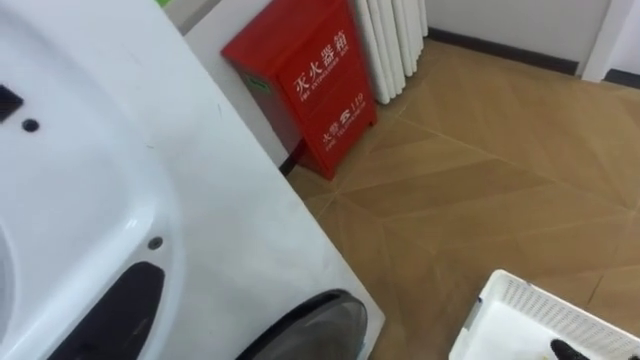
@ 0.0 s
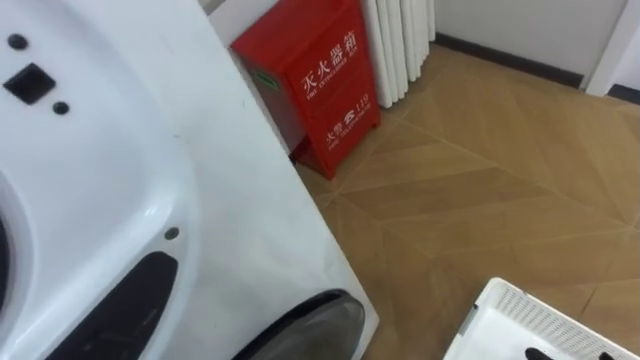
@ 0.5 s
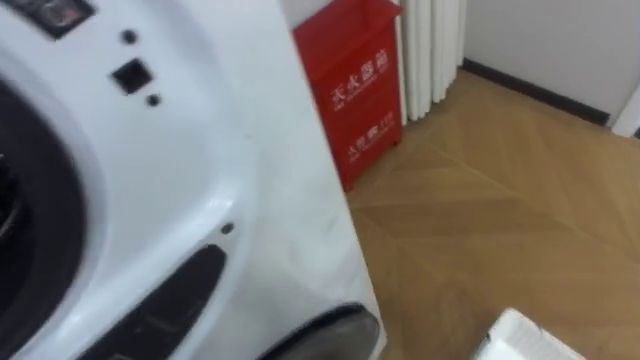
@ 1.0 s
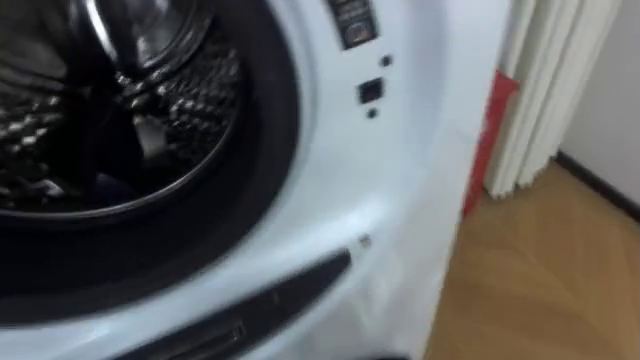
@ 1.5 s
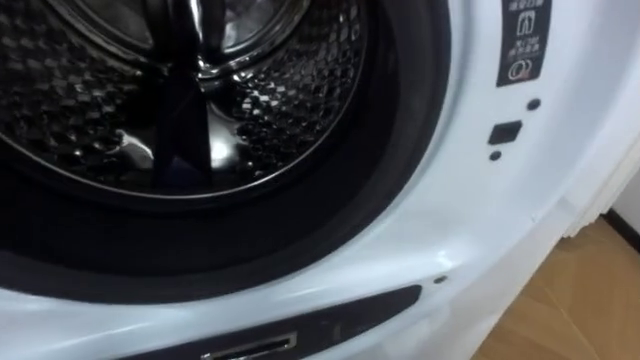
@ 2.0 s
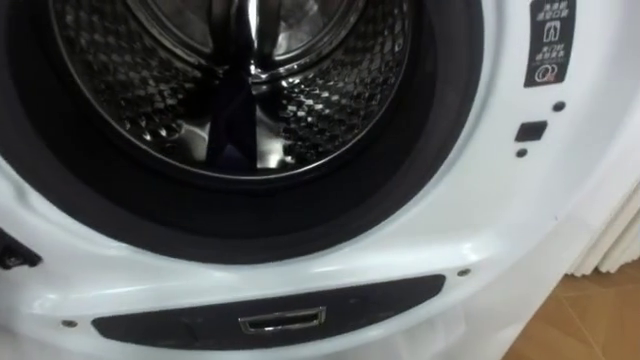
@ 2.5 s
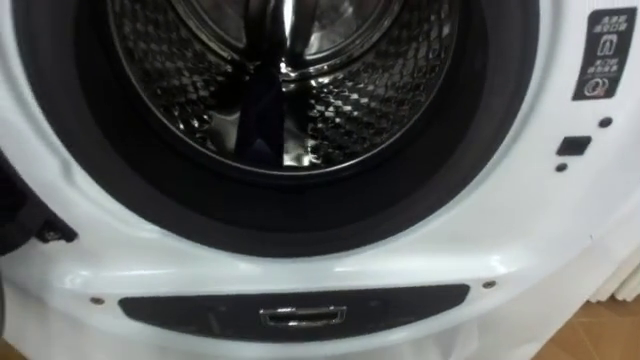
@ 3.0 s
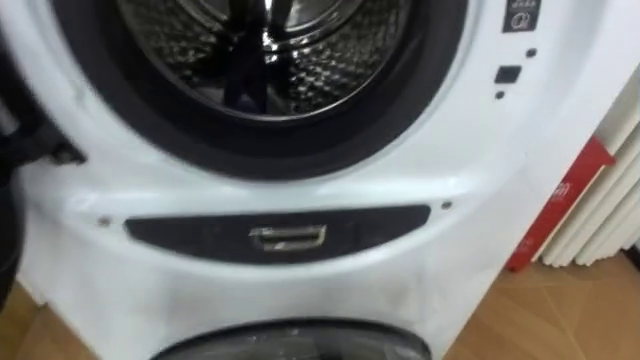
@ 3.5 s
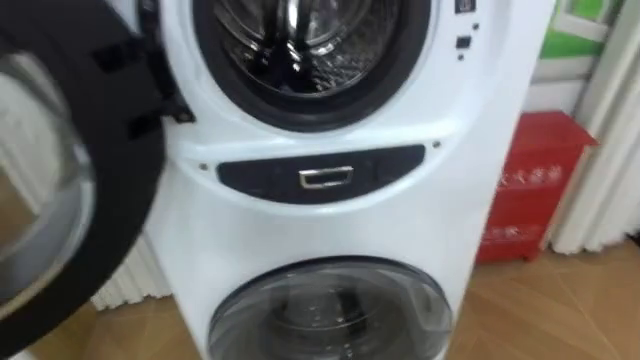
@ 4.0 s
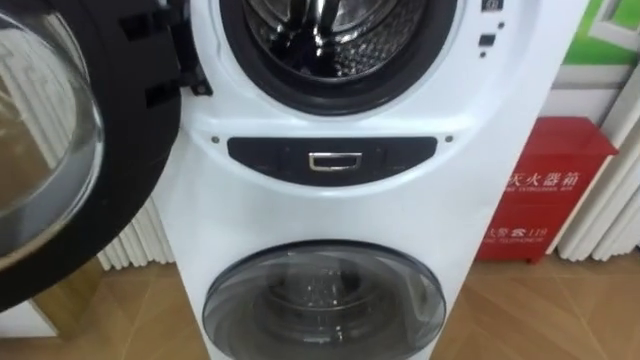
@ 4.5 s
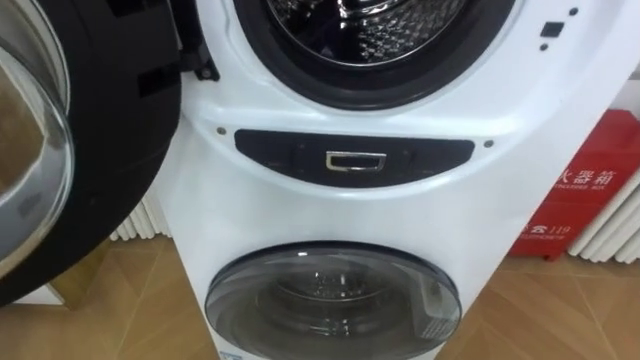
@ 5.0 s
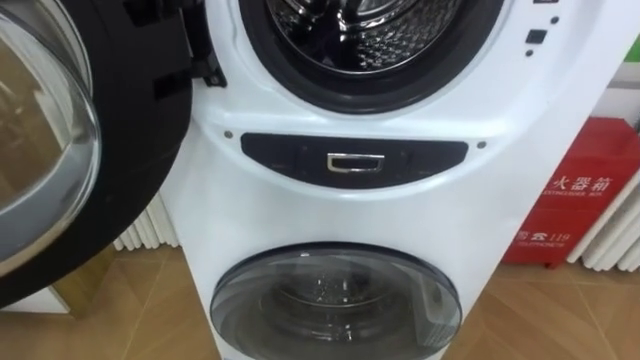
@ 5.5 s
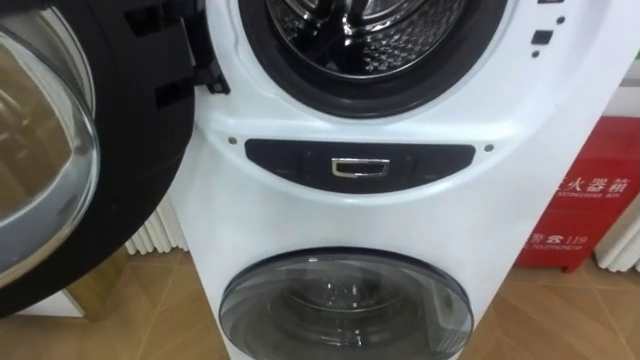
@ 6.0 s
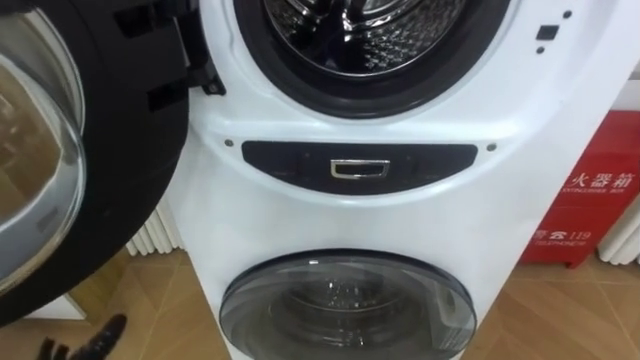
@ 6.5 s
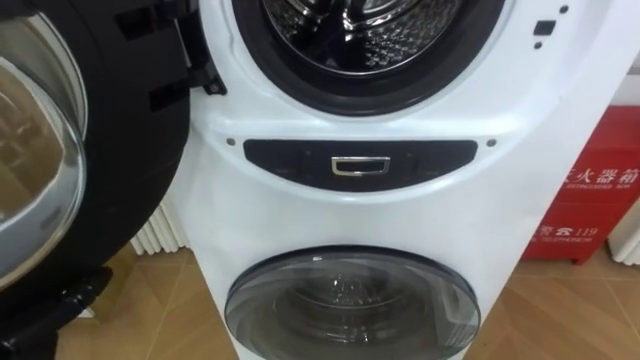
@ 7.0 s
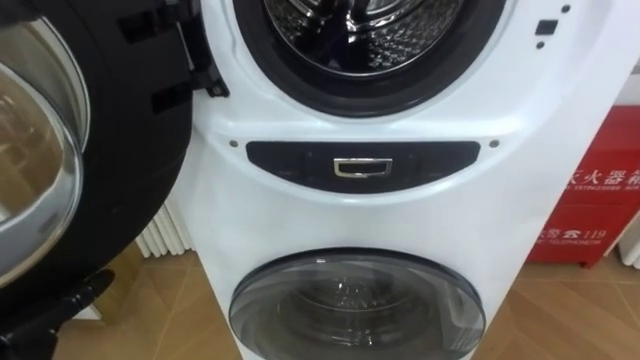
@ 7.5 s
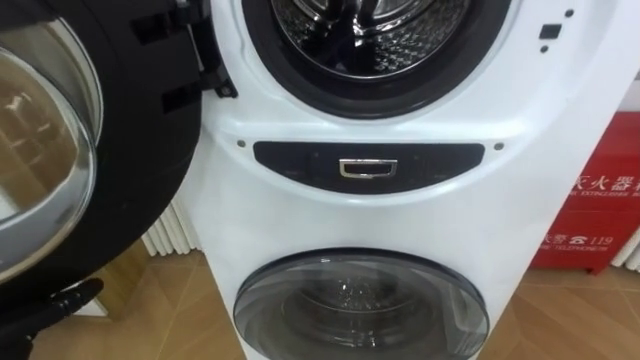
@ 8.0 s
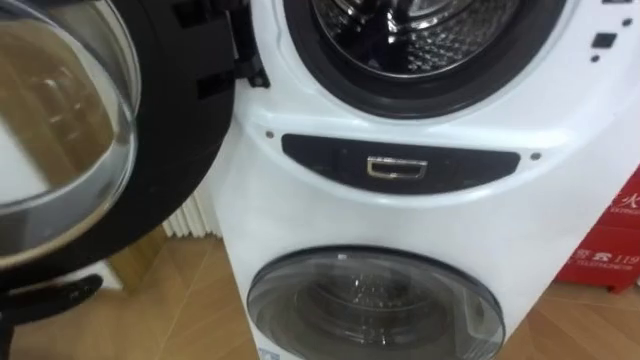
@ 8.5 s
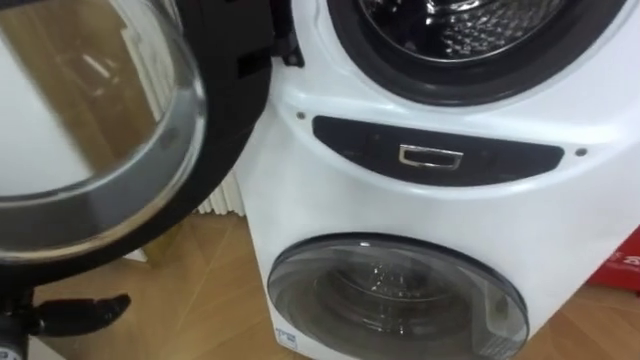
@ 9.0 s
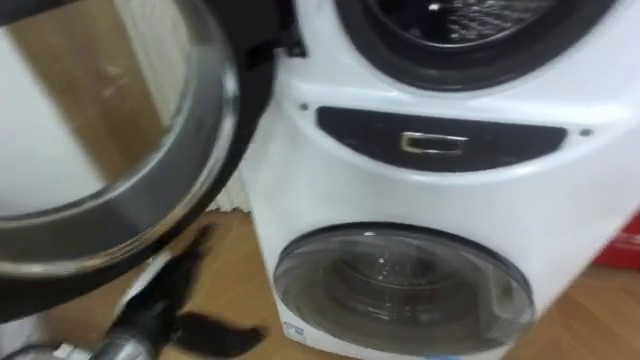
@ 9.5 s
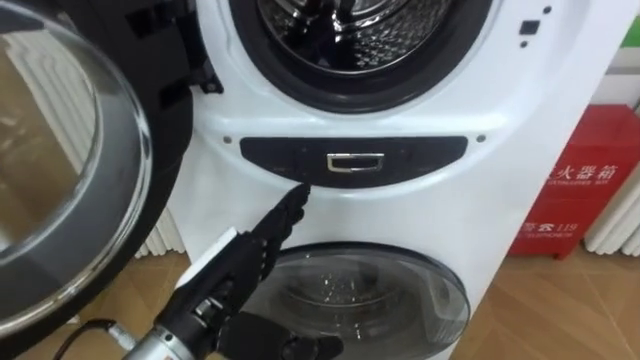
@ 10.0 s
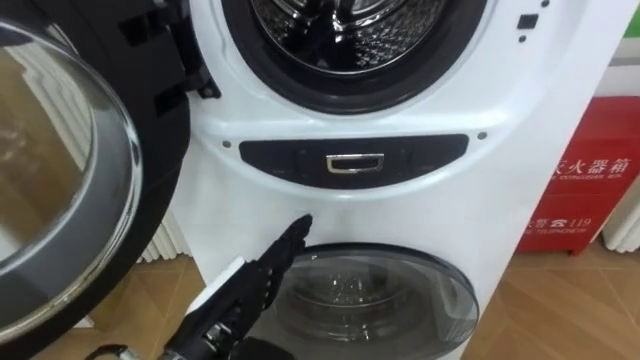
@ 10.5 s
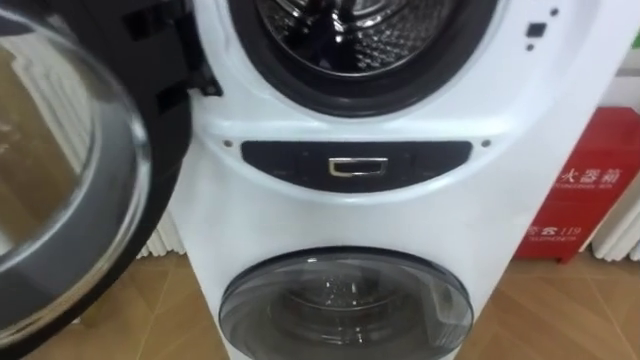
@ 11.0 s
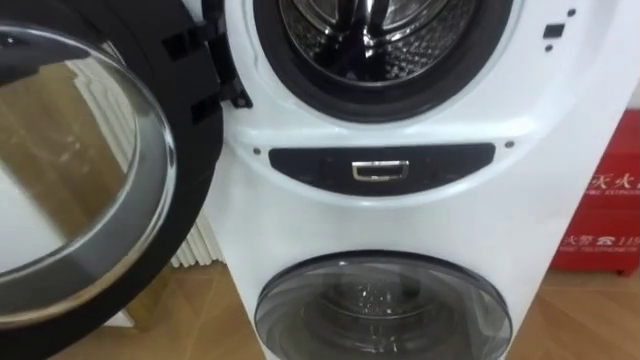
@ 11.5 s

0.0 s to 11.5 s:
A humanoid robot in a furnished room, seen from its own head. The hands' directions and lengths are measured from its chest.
Task of the whole recording: Open the washing machine door, take out the yellow clothes, place them in the box on the right, and close the washing machine door.
0.0 to 2.0 s: The robot's body swings some 20 degrees to its left.

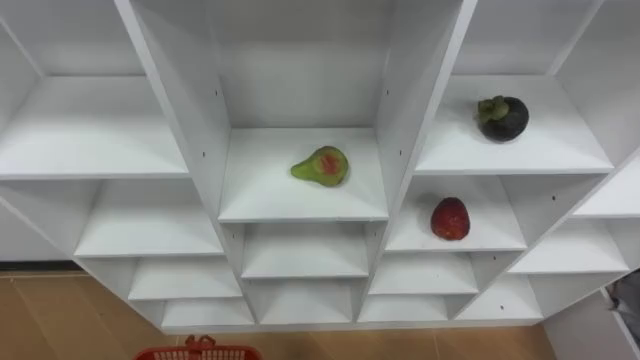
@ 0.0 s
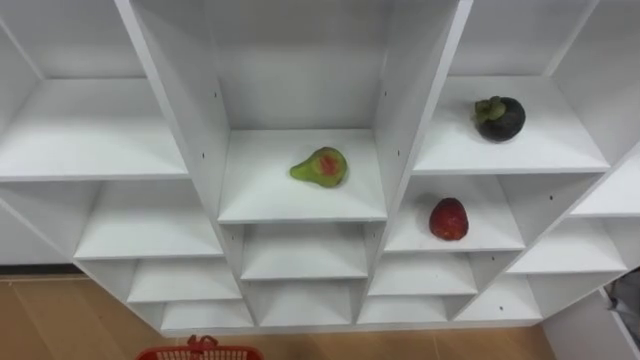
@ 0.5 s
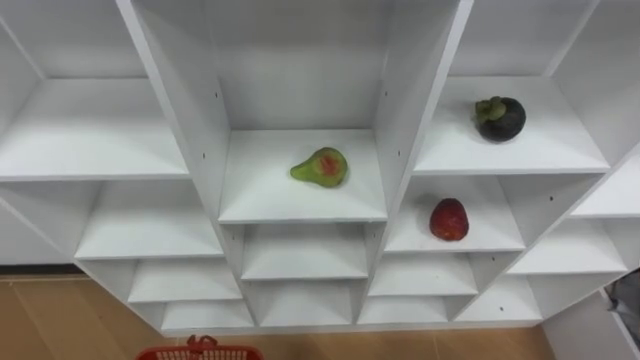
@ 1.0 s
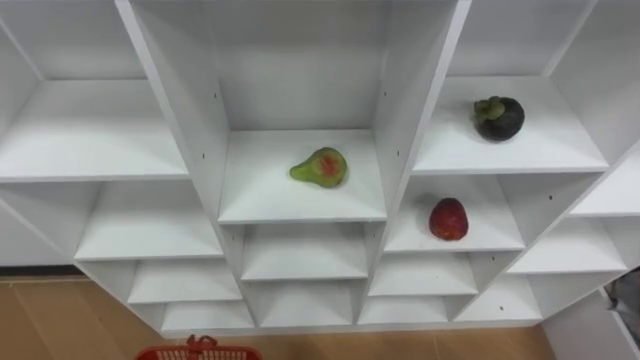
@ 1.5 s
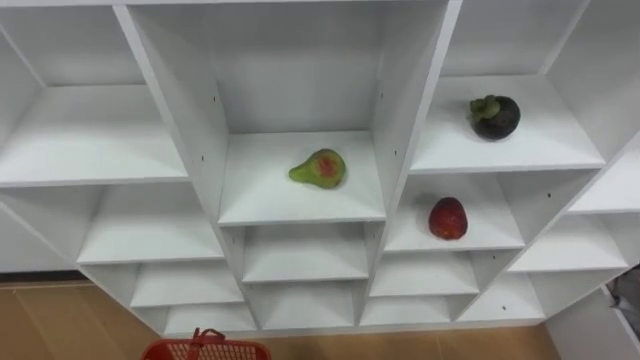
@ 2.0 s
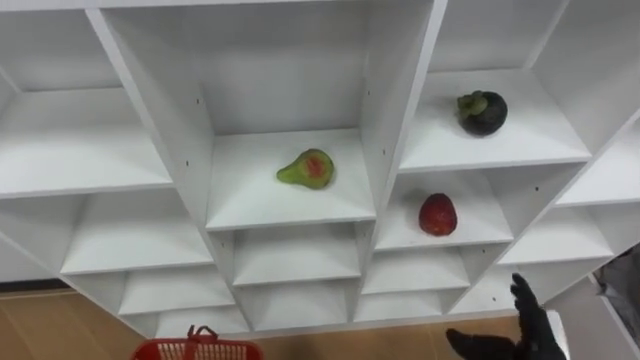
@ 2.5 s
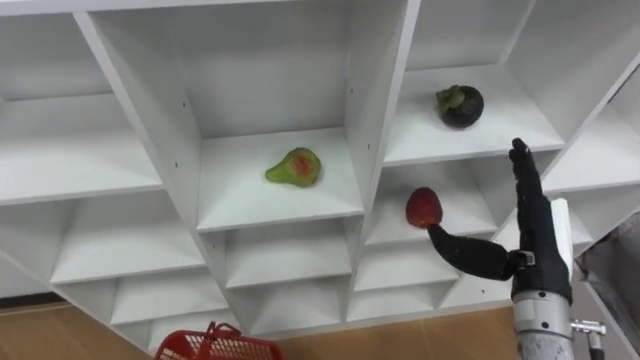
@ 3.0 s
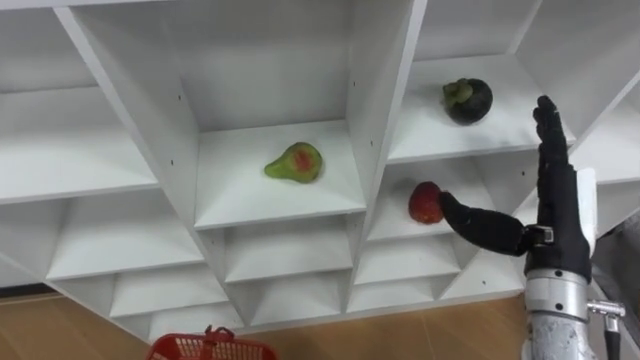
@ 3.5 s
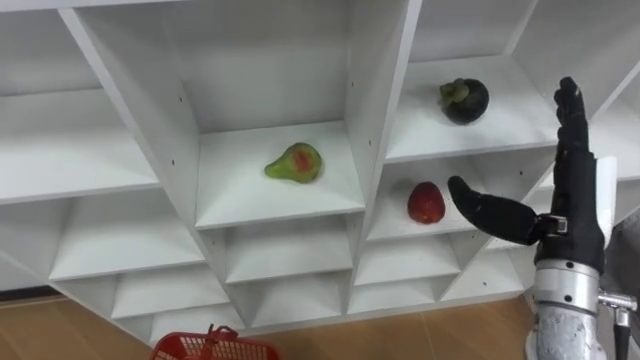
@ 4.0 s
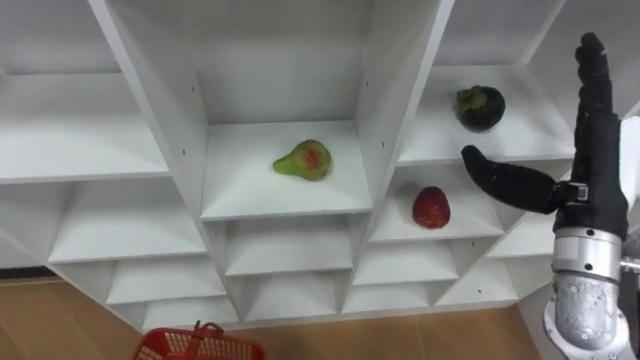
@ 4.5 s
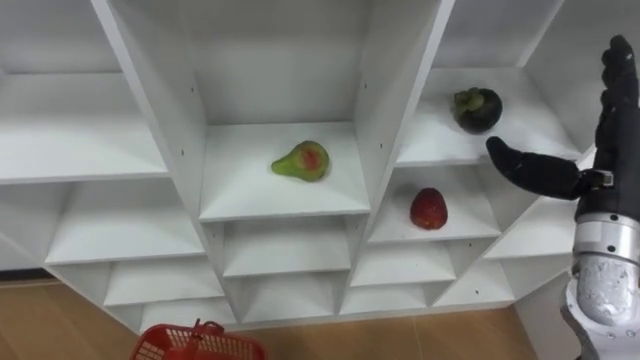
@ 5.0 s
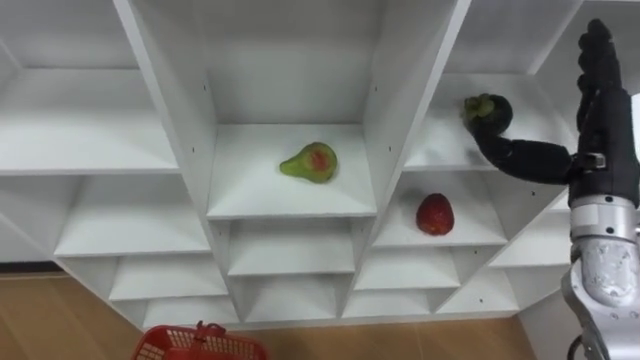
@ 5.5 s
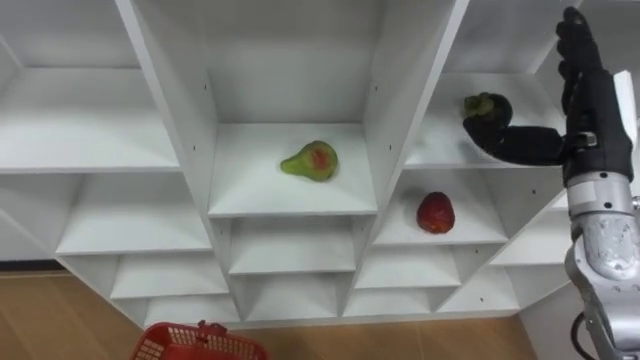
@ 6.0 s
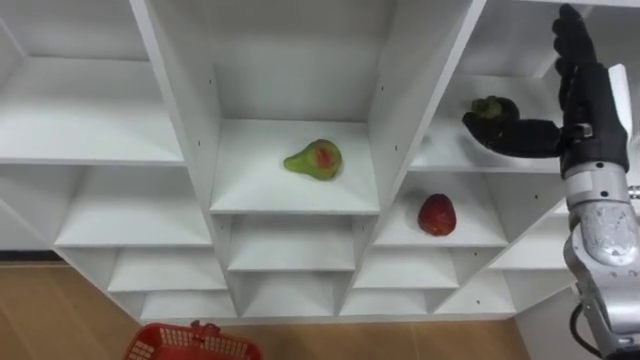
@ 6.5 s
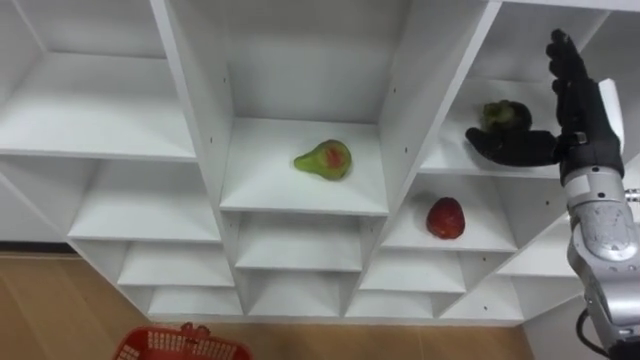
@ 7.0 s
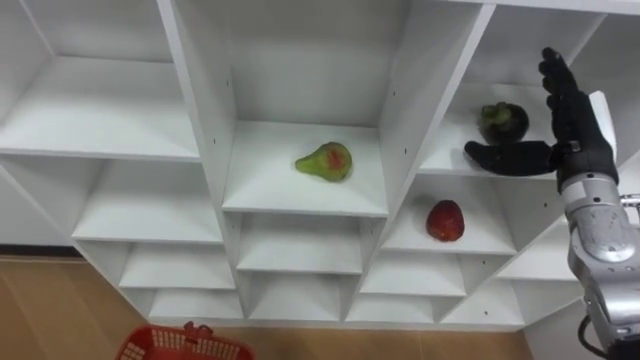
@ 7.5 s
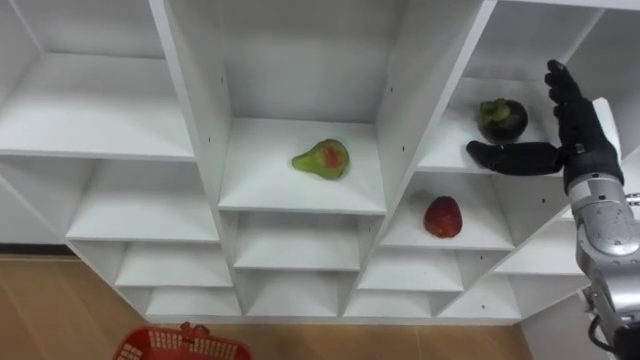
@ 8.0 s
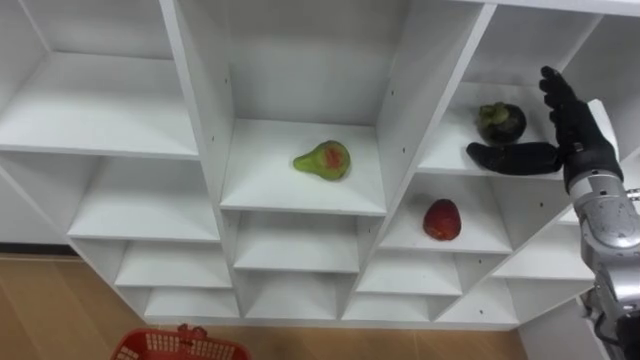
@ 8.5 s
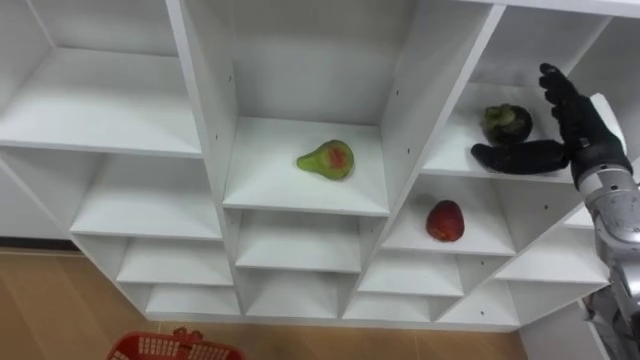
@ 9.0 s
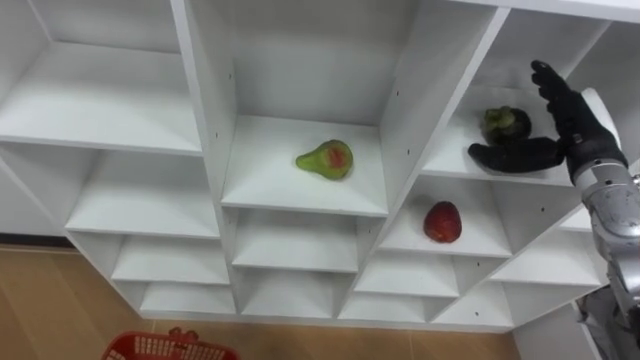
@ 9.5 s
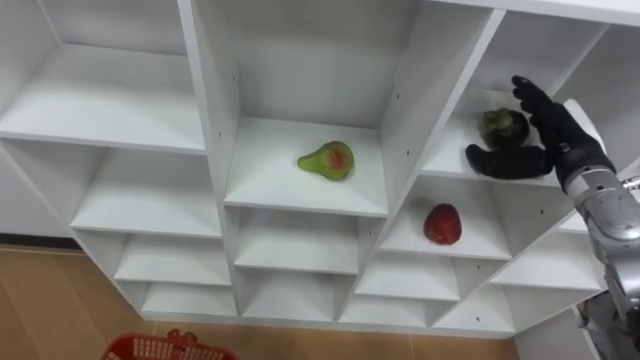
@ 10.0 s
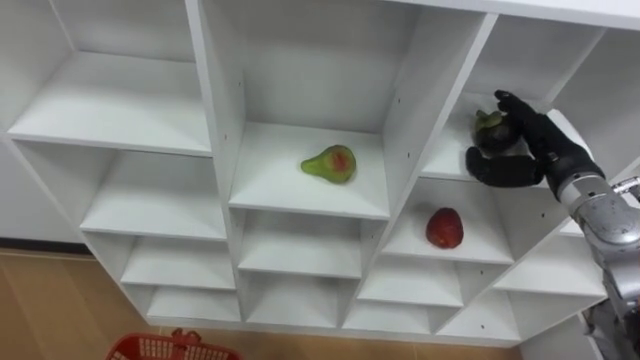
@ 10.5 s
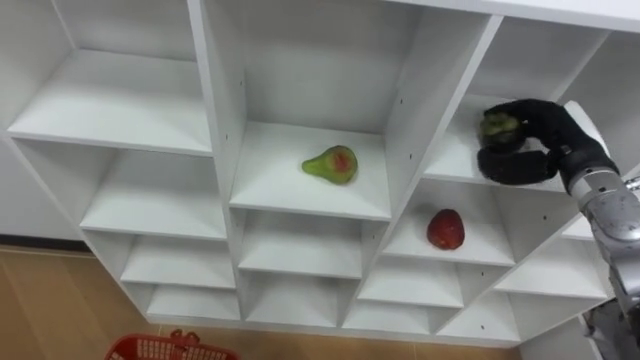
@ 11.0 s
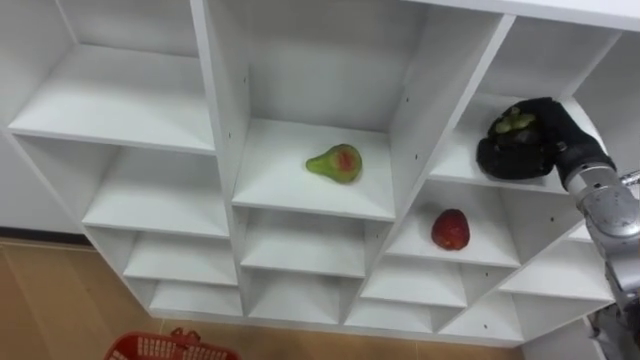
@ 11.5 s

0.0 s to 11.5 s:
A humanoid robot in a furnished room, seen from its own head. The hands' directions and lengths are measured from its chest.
Task of the whole recording: Hold the basket and collect the fruits from 3 different cells of the closet into it.
4.0 to 6.0 s: The right hand is displaced forward by some 5 cm.
6.0 to 7.5 s: The right hand moves about 5 cm.
9.5 to 11.5 s: The right hand closes up.
